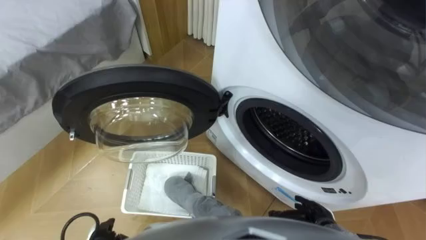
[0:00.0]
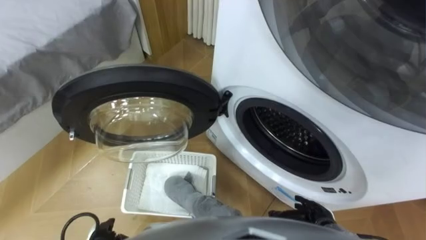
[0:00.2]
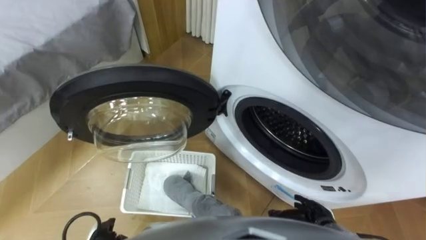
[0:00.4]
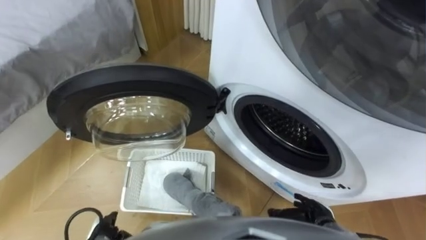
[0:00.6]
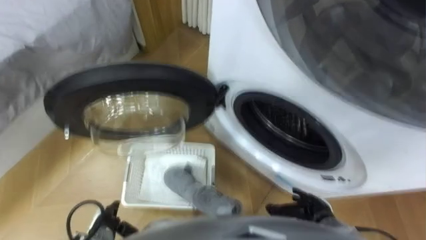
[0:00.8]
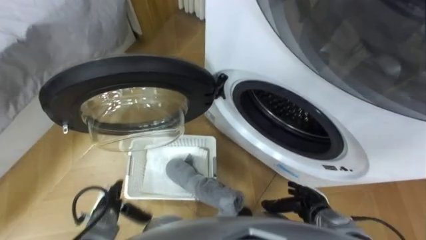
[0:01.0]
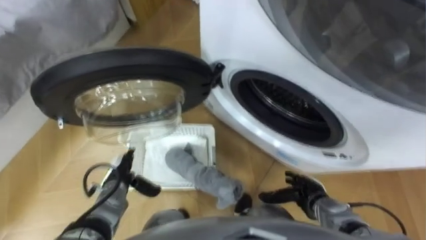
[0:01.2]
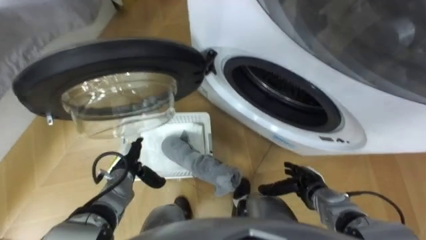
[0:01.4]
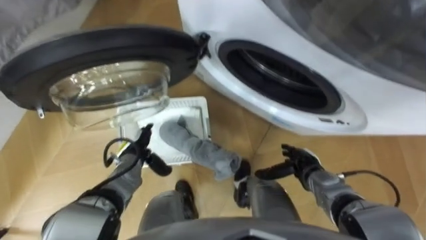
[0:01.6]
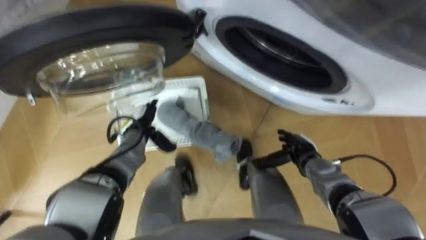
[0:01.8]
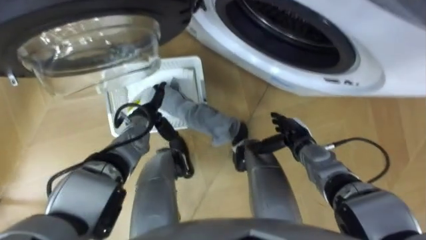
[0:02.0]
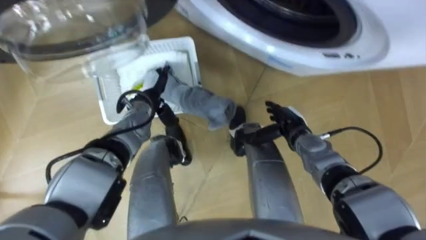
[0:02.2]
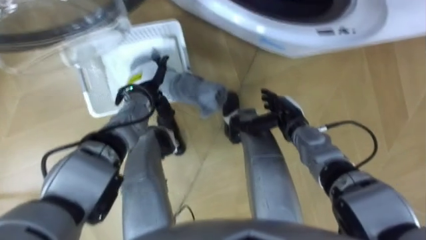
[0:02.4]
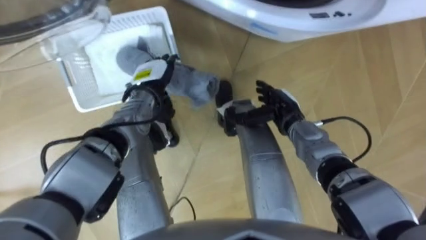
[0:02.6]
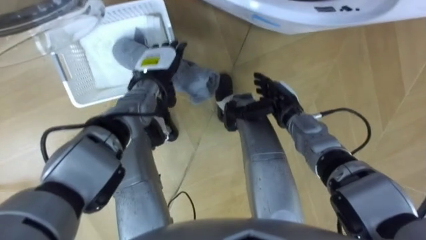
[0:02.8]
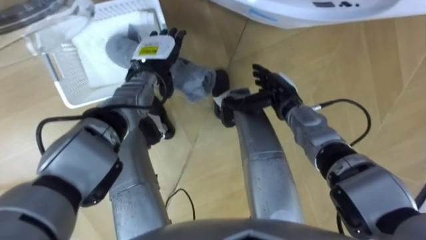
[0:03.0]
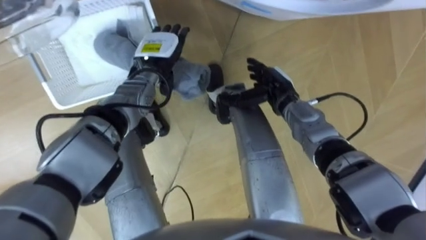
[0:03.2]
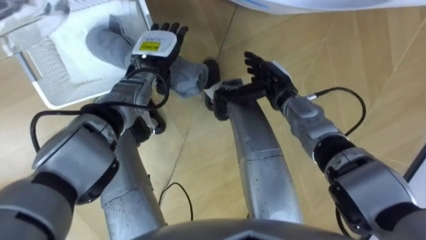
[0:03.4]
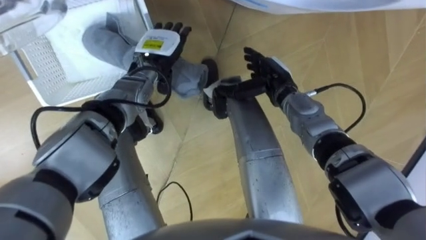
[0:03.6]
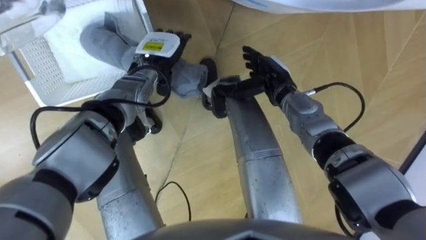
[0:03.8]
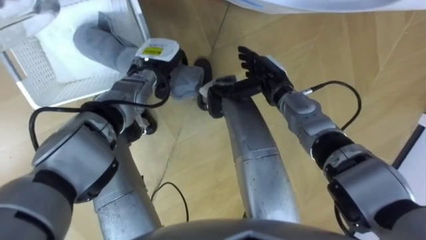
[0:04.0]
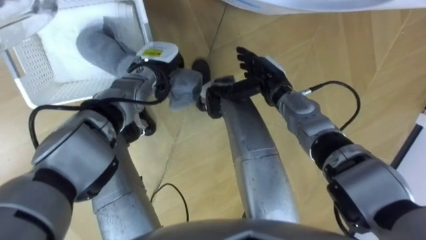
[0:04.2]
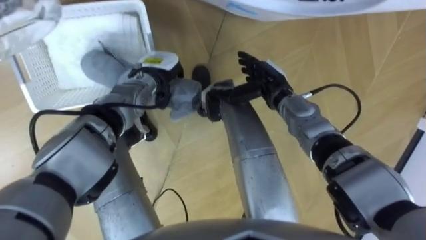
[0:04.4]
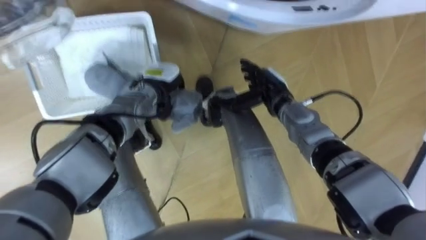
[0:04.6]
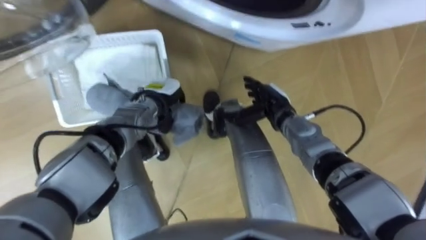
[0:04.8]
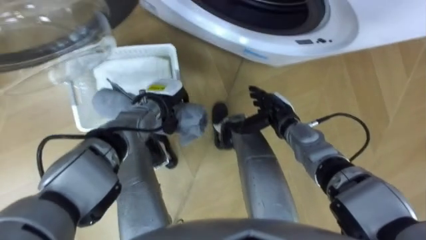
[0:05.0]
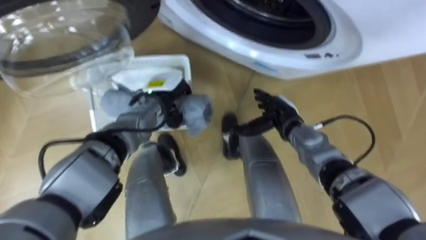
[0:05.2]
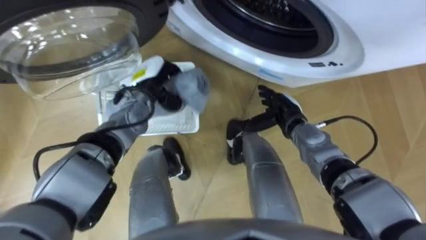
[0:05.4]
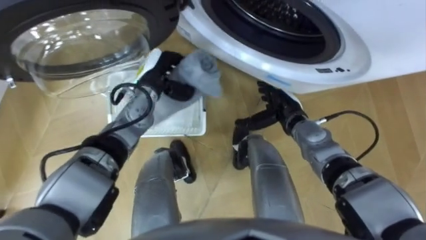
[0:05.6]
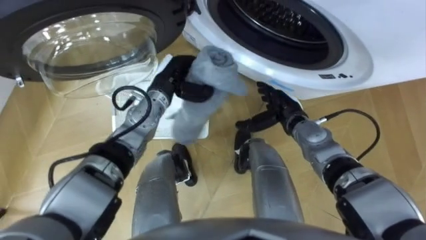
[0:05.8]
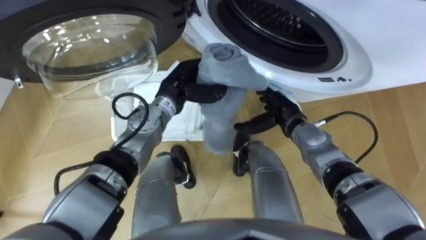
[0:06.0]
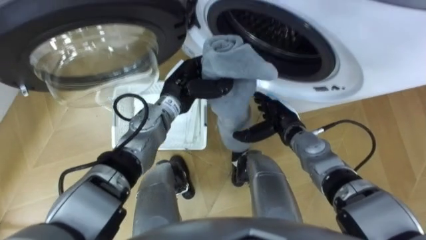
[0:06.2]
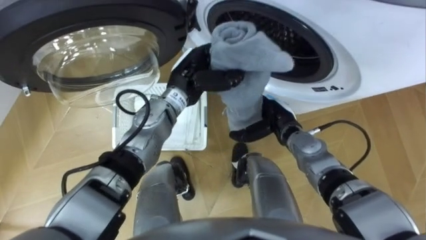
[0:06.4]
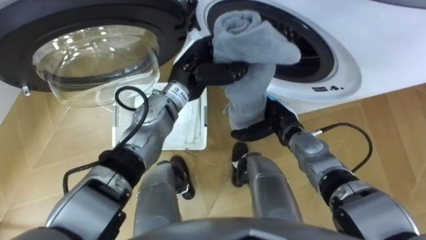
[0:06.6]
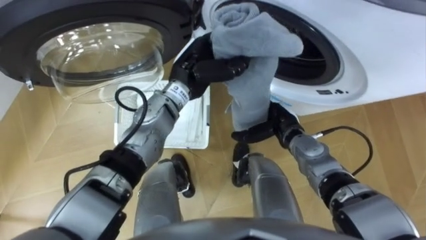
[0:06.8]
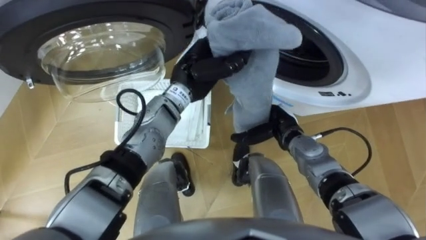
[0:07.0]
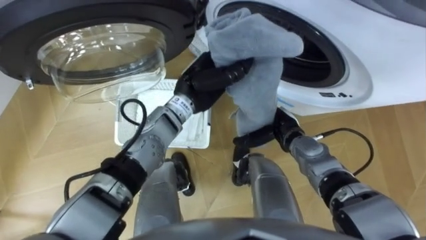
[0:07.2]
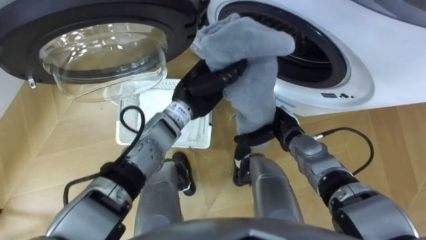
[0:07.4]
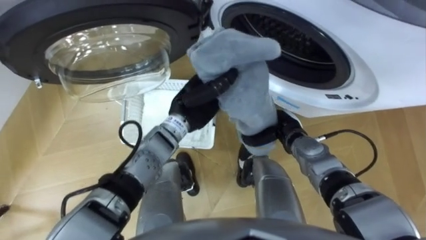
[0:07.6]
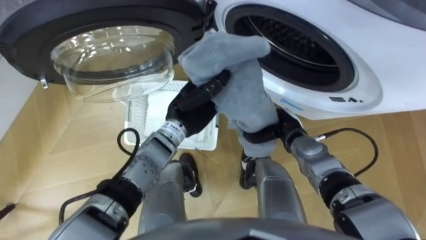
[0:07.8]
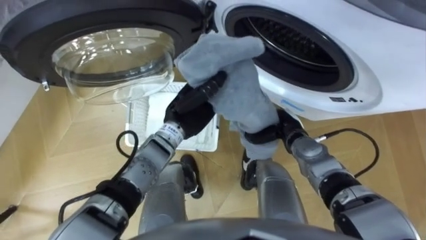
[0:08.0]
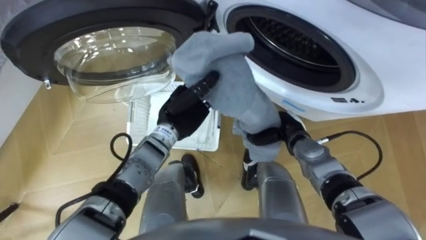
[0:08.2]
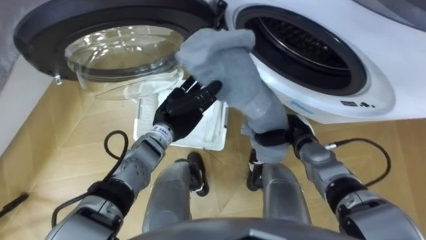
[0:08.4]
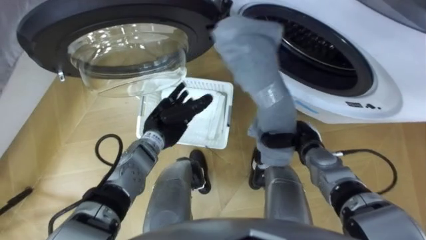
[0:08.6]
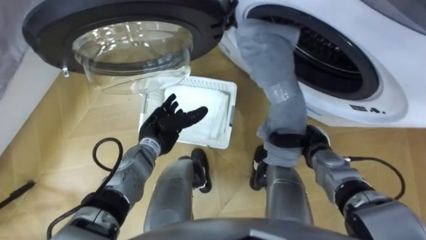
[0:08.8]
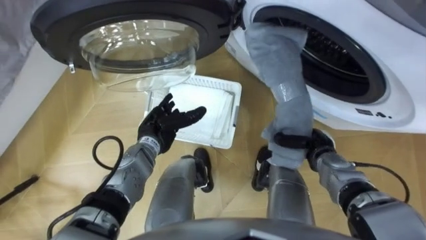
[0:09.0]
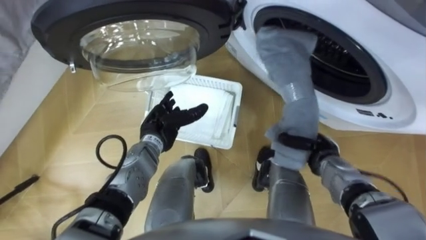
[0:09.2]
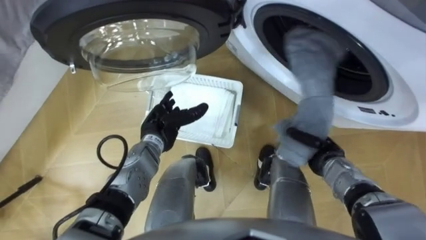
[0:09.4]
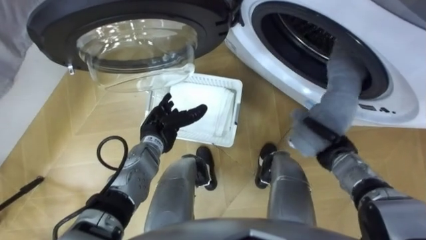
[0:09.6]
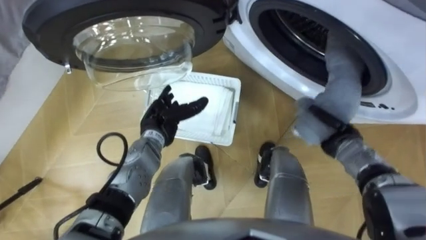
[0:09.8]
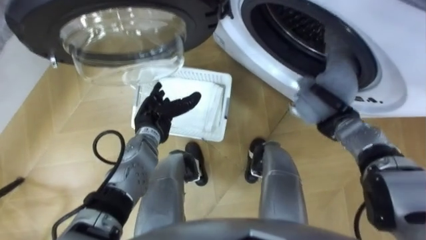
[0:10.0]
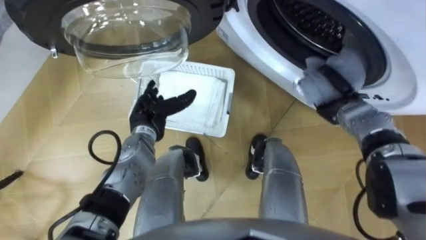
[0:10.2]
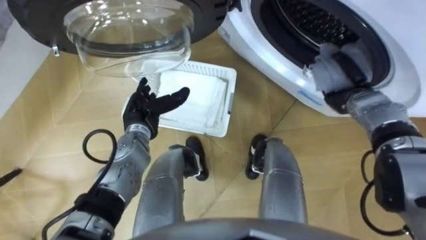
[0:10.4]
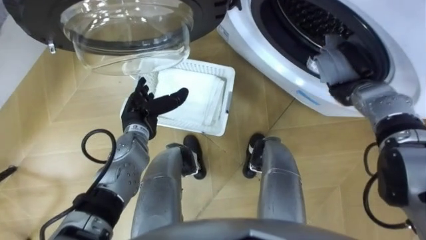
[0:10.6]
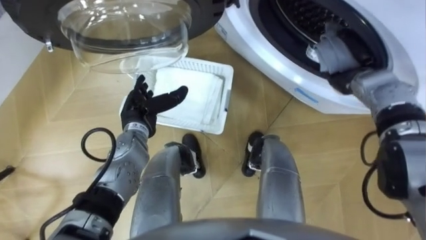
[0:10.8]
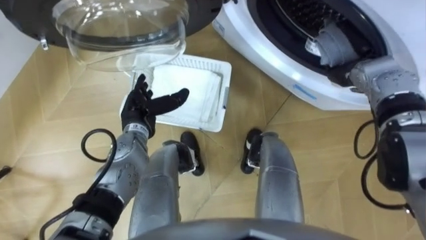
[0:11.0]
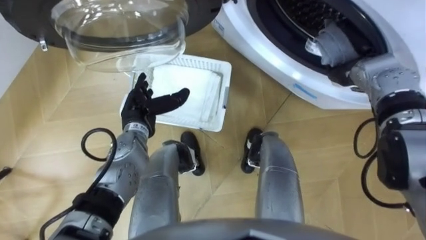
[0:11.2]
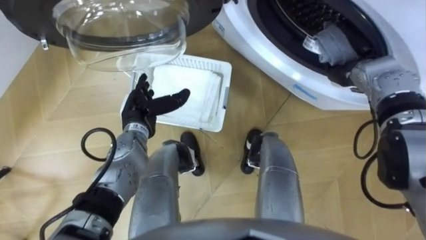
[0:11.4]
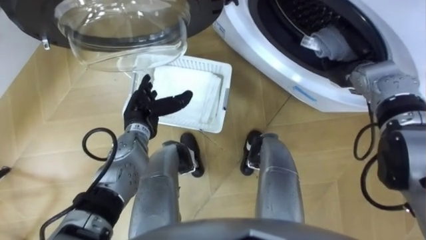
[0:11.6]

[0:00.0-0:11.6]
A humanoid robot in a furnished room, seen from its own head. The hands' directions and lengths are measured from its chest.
Task of the whole recording: Take the towel from the basket and put it into the washing machine.
0:01.4 to 0:02.8: The right hand travels forward, upward and to the left by roughly 20 cm. Meanwhile the left hand goes some 25 cm forward, upward and to the right.
0:02.8 to 0:04.4: The left hand closes up. Meanwhile the right hand changes place by approximately 5 cm.
0:04.4 to 0:05.8: The right hand shifts by about 5 cm.
0:05.8 to 0:07.2: The left hand is displaced to the right by about 5 cm.
0:07.2 to 0:08.8: The right hand shifts some 5 cm to the right, and closes its fingers. Meanwhile the left hand moves downward, to the left and backward, about 15 cm, and opens.
0:08.8 to 0:10.2: The right hand is displaced forward, upward and to the right by roughly 10 cm.
0:10.2 to 0:11.6: The right hand heads upward and forward, covering about 10 cm, and opens up.

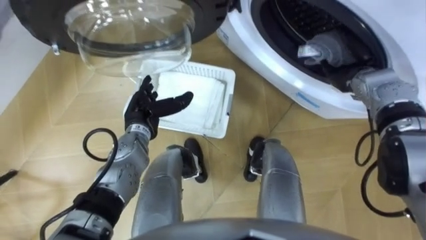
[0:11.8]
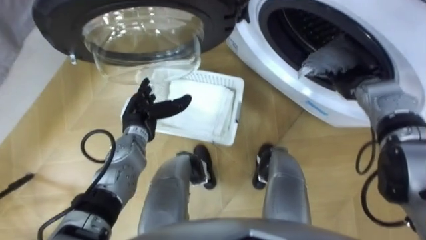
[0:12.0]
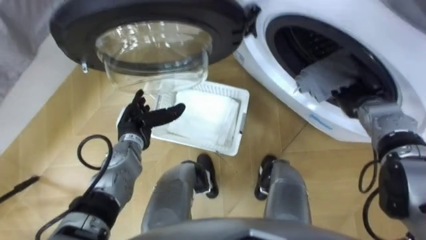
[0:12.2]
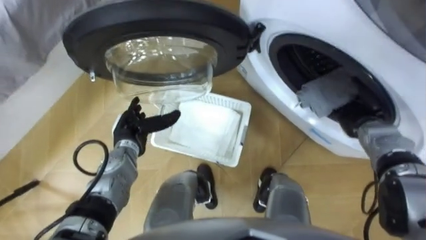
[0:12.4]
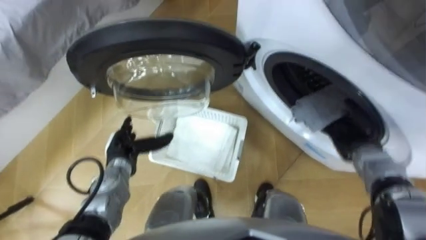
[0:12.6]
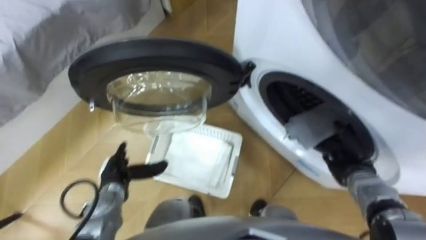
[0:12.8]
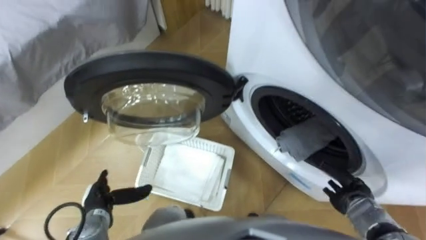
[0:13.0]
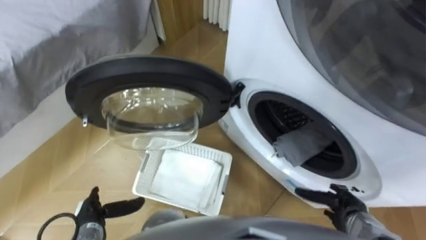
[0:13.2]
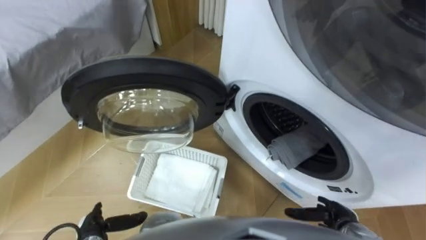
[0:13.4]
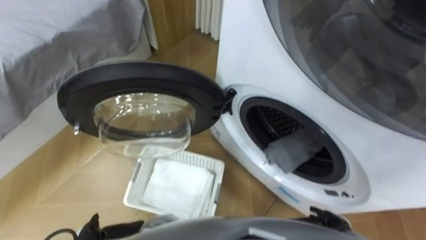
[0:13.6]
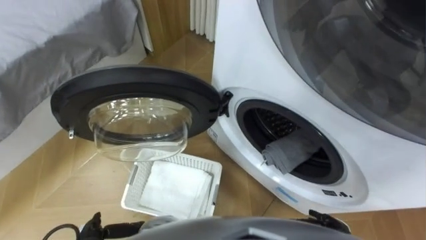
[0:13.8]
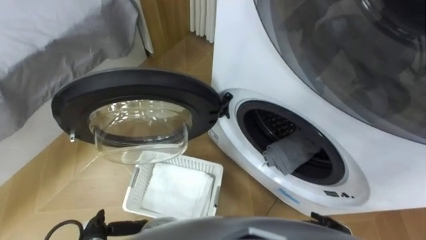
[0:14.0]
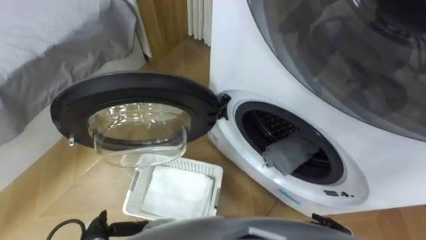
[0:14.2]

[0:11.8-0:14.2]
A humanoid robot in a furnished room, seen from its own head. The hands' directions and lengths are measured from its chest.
Task of the whole recording: Take the towel from the basket and put it into the washing machine.
0:11.8 to 0:13.0: The right hand shifts approximately 25 cm backward and downward; the left hand is displaced backward, downward and to the left by some 25 cm.
0:13.0 to 0:14.2: The right hand is displaced backward by about 10 cm.

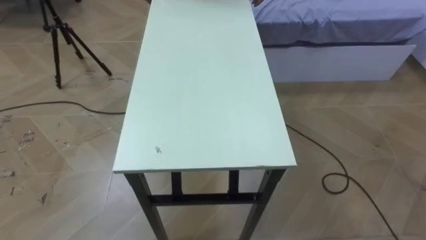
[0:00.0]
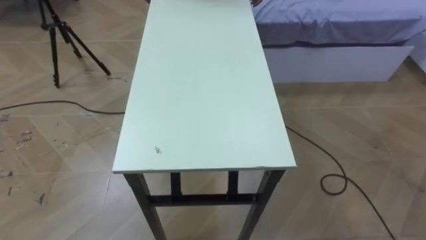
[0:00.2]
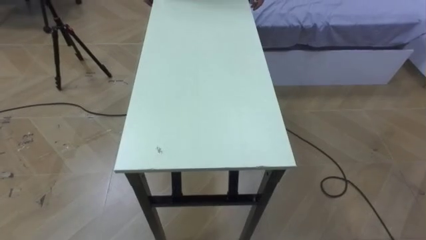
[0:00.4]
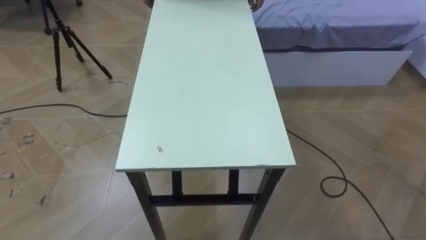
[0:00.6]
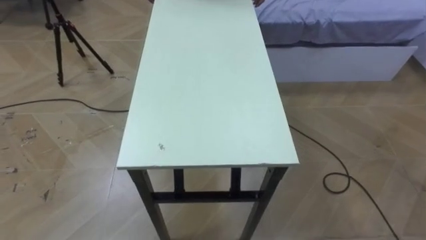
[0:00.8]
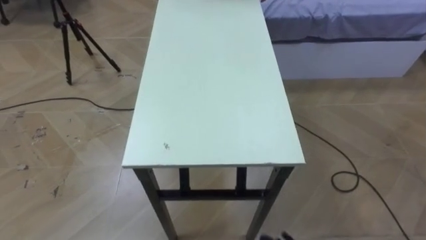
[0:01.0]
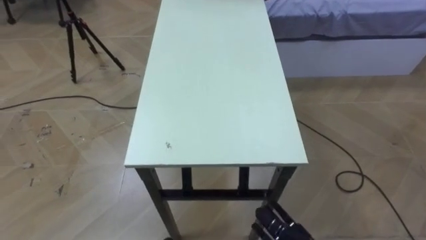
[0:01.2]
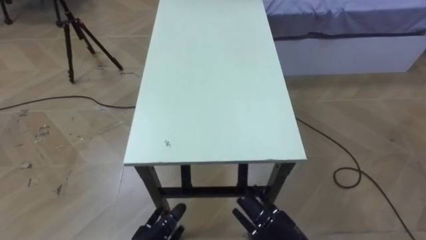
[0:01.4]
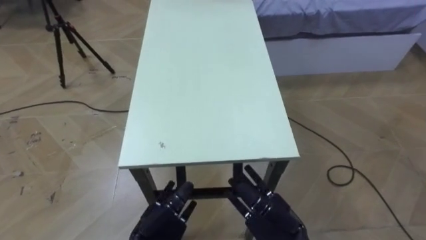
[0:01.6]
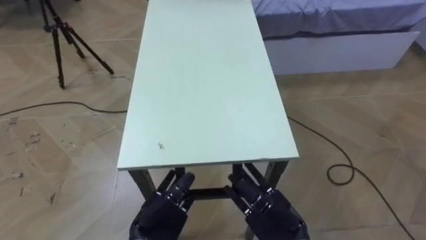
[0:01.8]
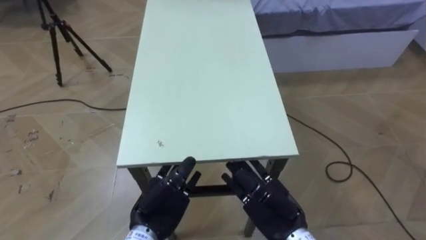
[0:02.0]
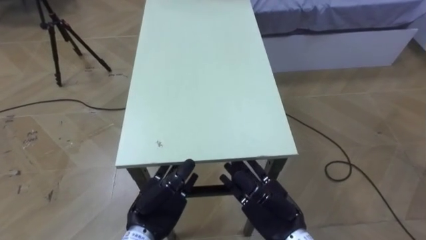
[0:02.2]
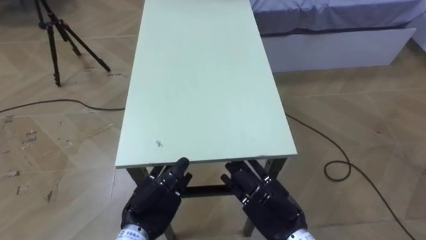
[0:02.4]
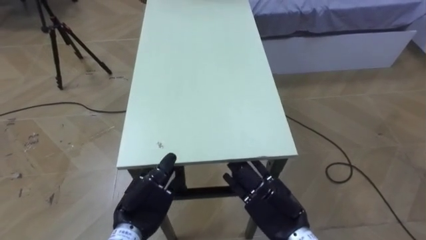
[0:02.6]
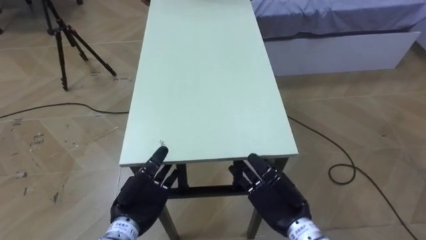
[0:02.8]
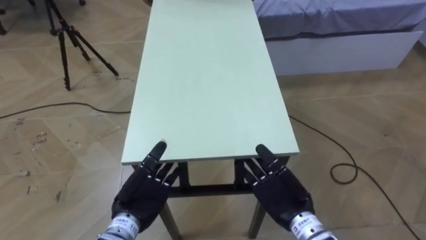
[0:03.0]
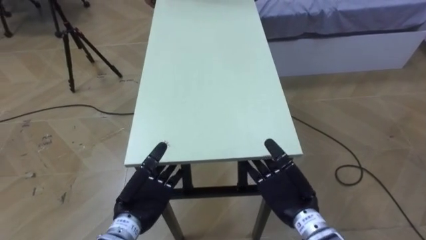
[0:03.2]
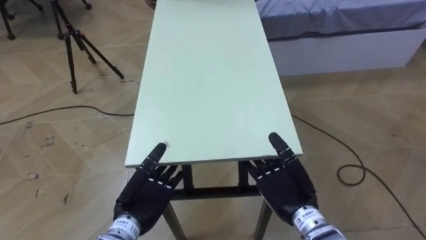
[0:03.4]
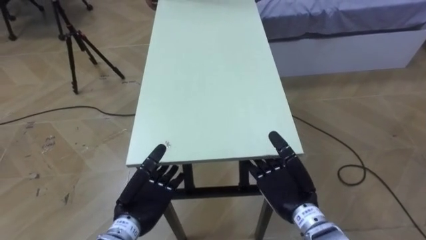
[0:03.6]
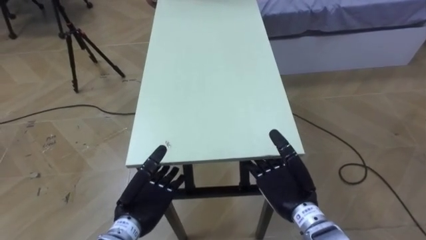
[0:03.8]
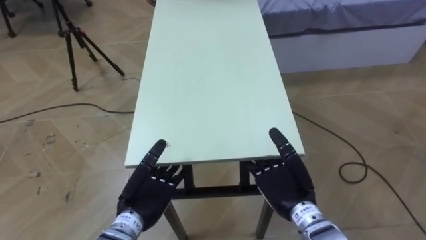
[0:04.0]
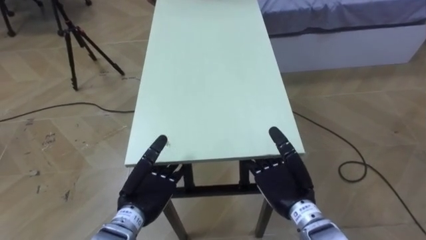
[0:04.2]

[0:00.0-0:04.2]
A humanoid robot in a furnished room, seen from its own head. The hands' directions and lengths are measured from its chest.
Task of the whole recording: Move the table to the back left with someone.
0:01.4 to 0:02.8: The right hand heads upward and forward, covering some 10 cm.
